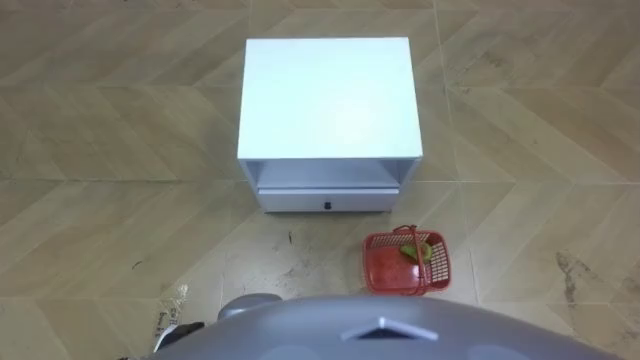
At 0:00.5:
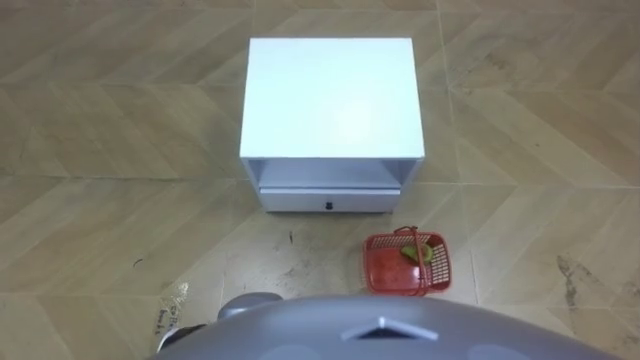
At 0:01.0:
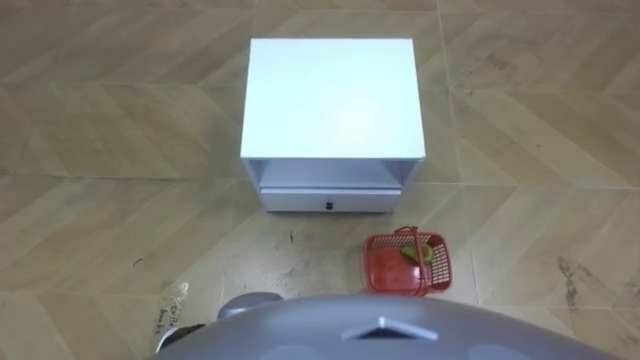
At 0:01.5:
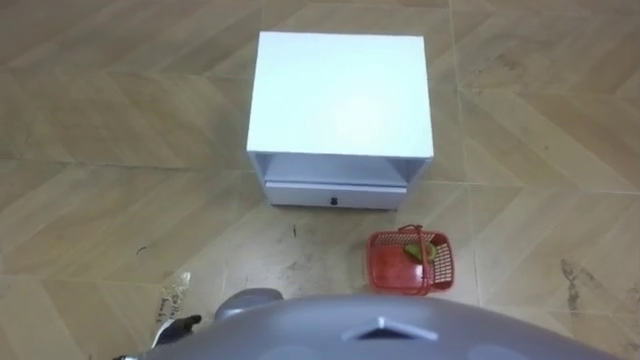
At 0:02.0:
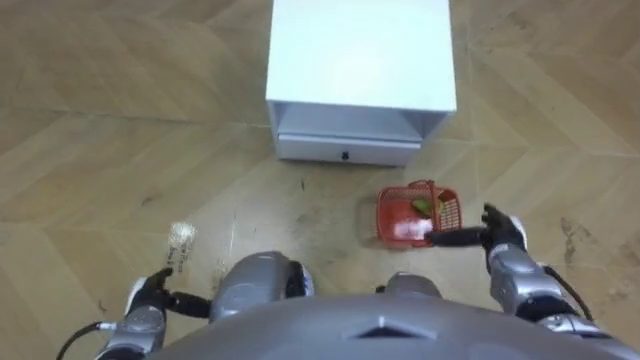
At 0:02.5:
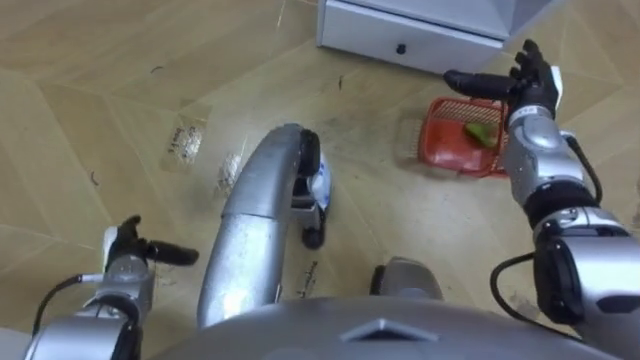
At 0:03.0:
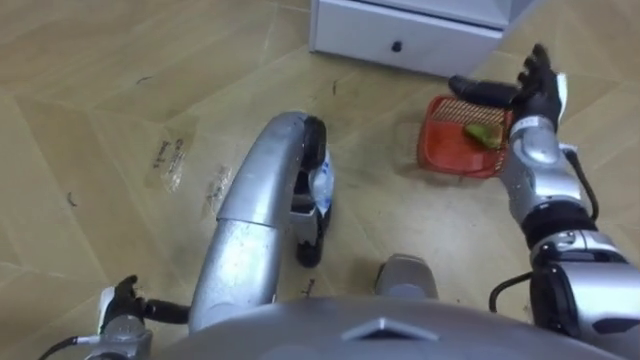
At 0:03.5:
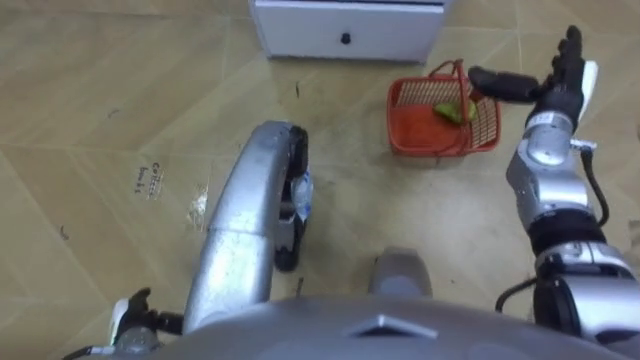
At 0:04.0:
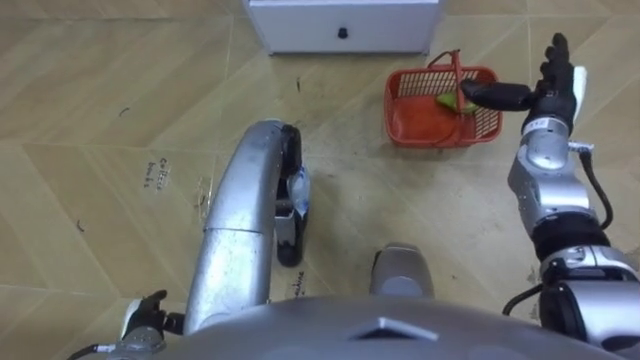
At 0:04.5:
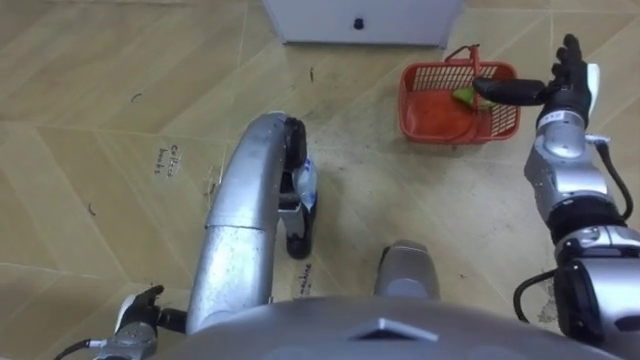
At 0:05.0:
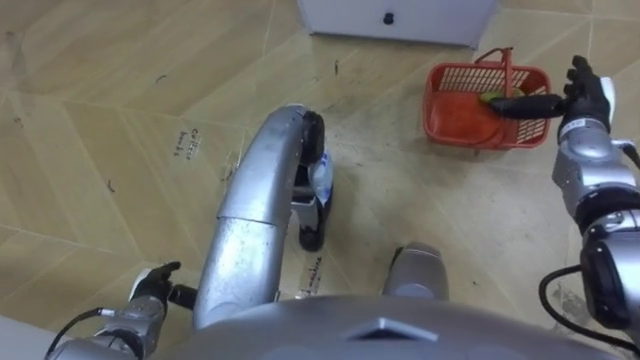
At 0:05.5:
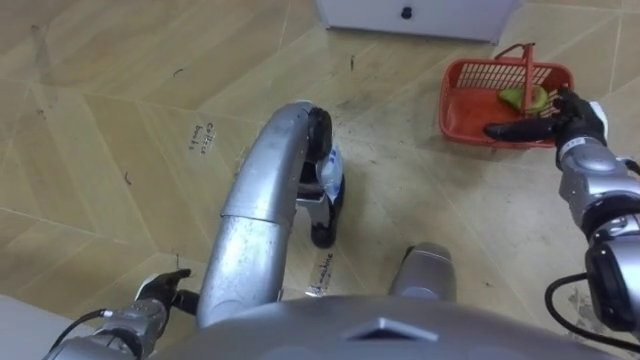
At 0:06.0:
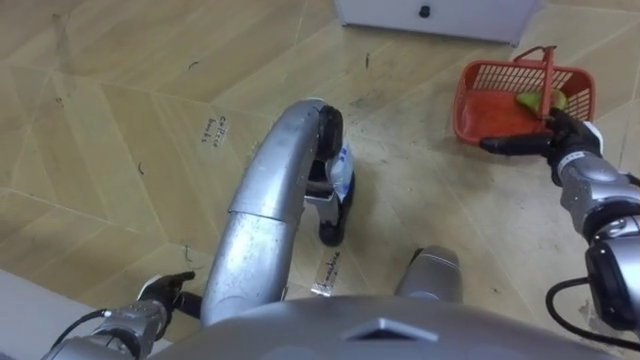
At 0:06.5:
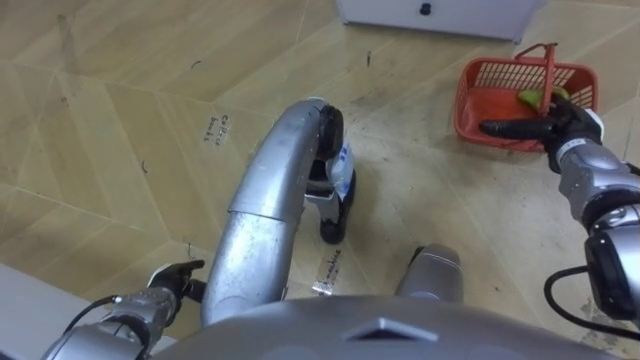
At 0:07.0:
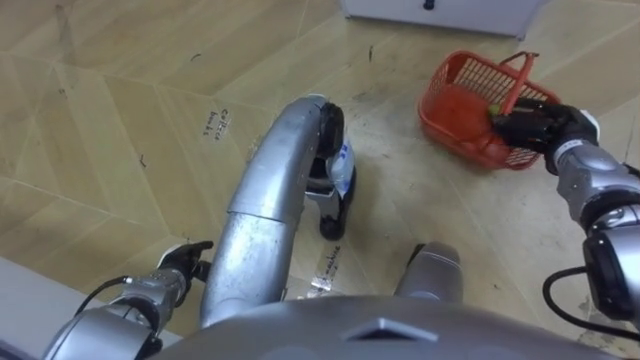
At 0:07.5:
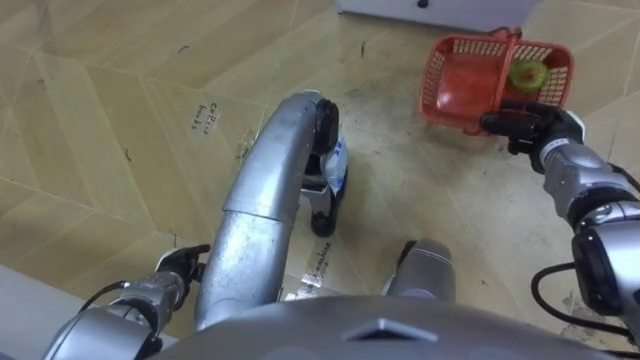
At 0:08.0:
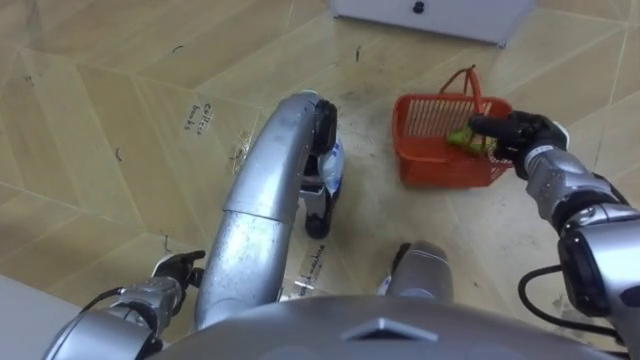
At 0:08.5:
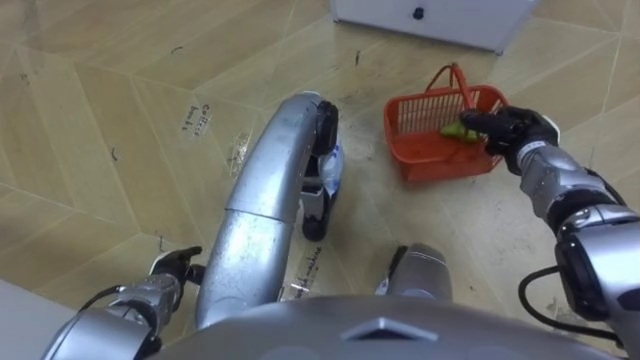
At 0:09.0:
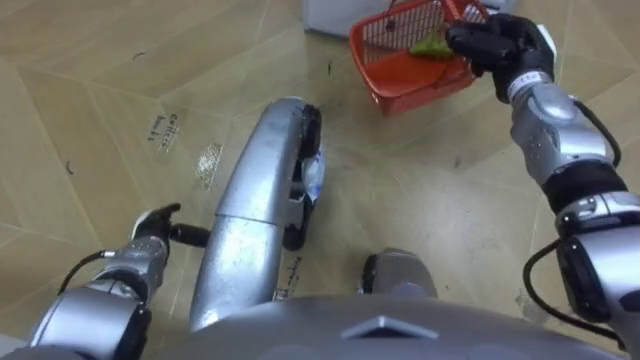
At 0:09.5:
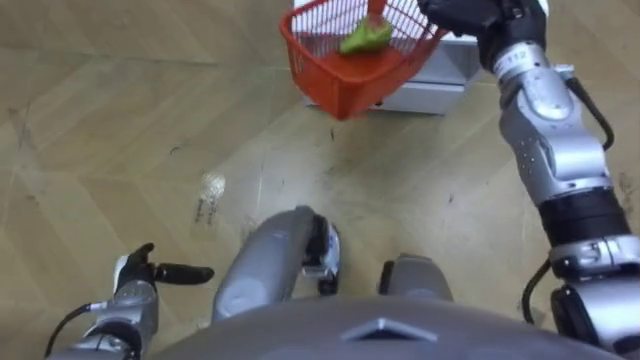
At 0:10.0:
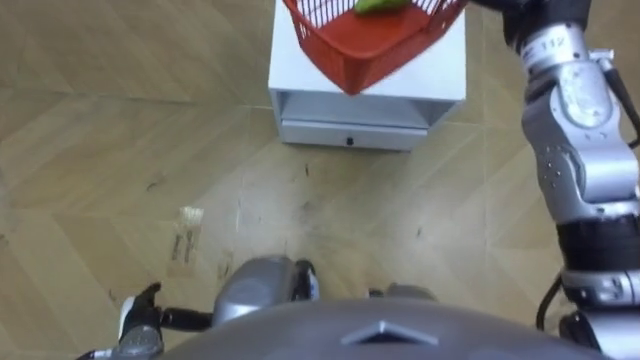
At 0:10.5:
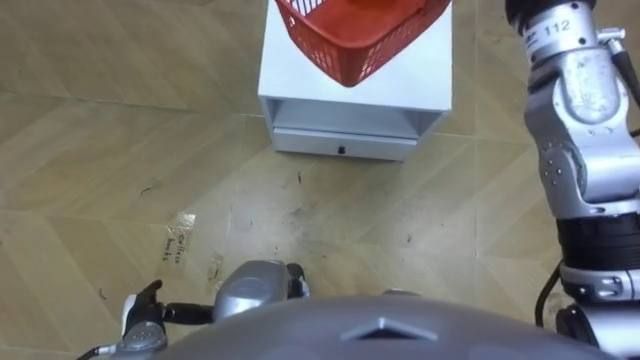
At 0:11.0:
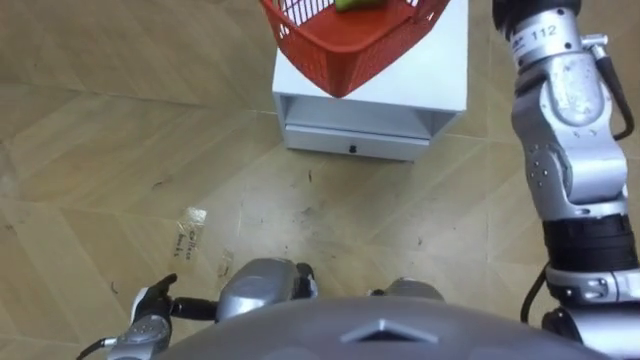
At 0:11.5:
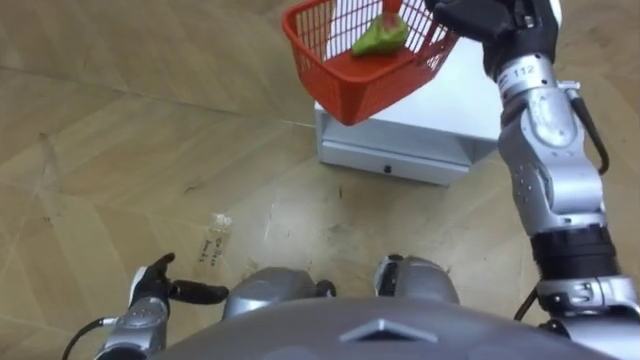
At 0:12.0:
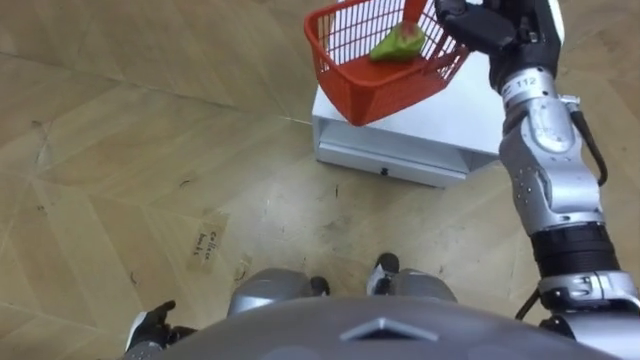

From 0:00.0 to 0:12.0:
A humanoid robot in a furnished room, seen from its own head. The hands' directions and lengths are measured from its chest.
Task of the whole recording: Pick up the fruit basket from the floor and place it on the cabinet.
From 0:02.0 to 0:04.0: The left hand moves roughly 10 cm forward and comes back; the right hand goes some 20 cm forward and upward.
From 0:04.0 to 0:06.0: The right hand heads downward, covering some 5 cm.
From 0:06.0 to 0:08.0: The right hand closes up.
From 0:08.0 to 0:10.0: The left hand heads backward, covering some 5 cm.

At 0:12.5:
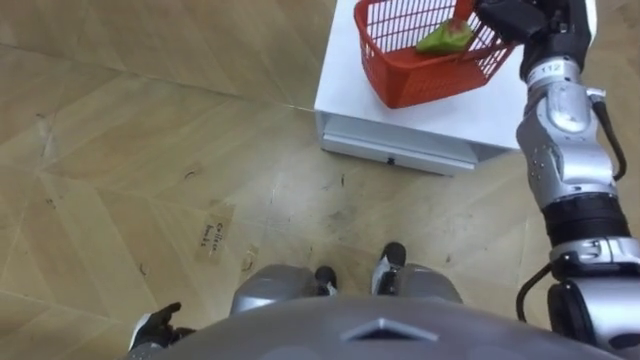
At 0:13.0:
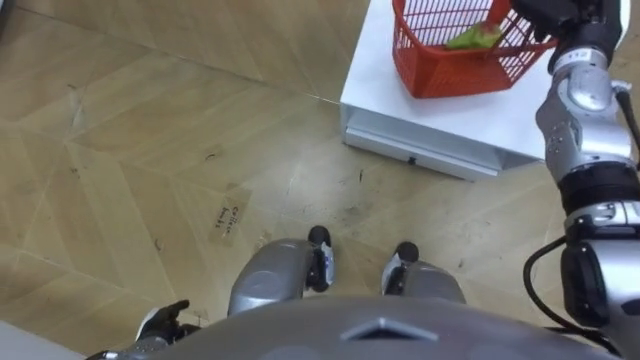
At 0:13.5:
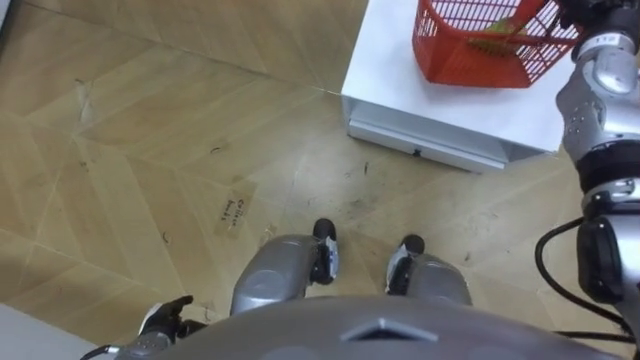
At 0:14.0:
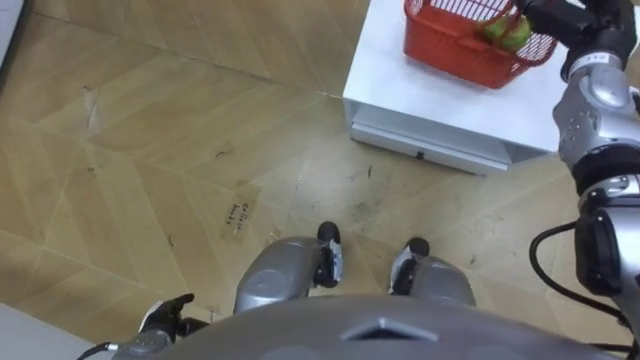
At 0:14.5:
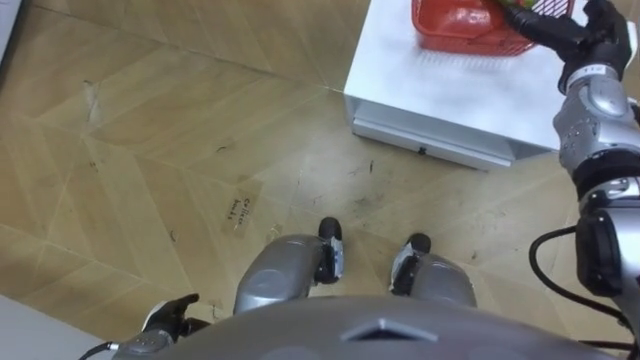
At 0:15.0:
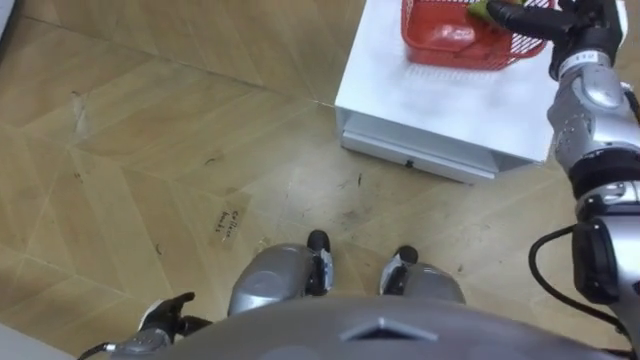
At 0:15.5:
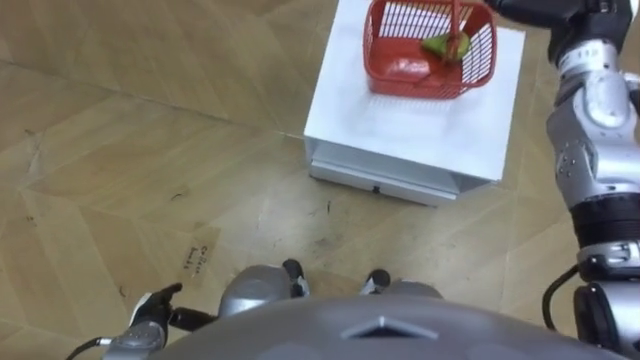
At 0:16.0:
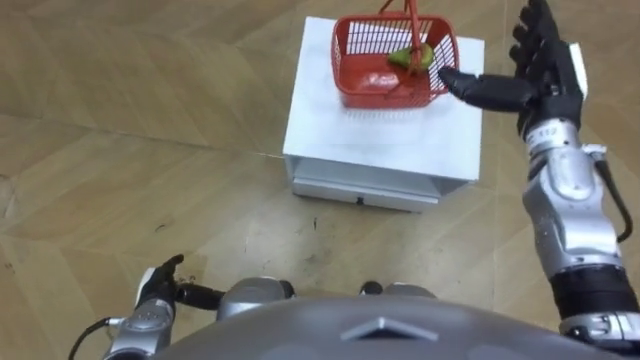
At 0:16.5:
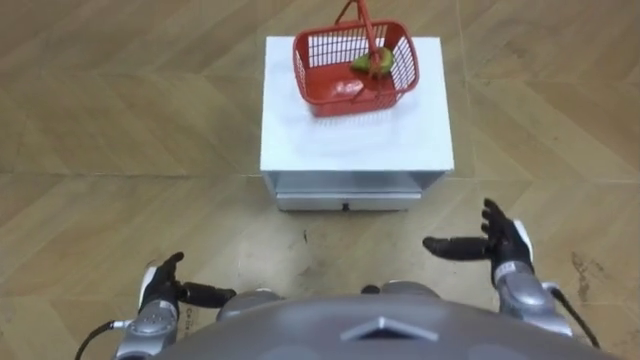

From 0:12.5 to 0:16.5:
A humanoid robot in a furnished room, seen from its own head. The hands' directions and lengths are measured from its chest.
Task of the whole recording: Pick up the fruit basket from the floor and place it on the cabinet.
From 0:12.5 to 0:14.5: The right hand goes approximately 5 cm to the right, and opens up.
From 0:14.5 to 0:16.5: The left hand heads forward, covering roughly 5 cm; the right hand is displaced backward and downward by approximately 30 cm.

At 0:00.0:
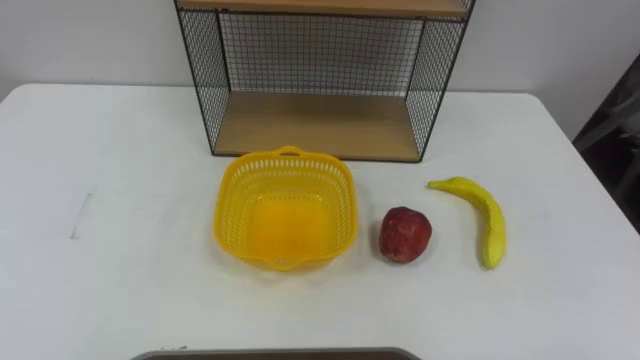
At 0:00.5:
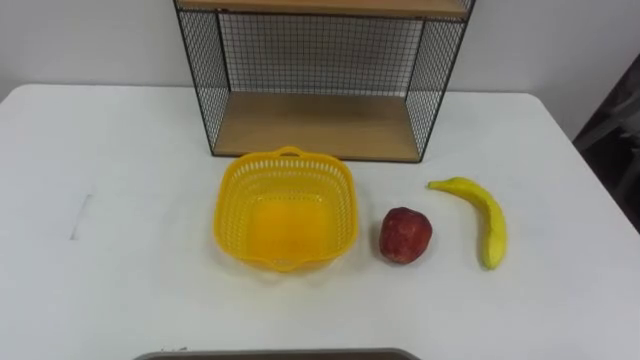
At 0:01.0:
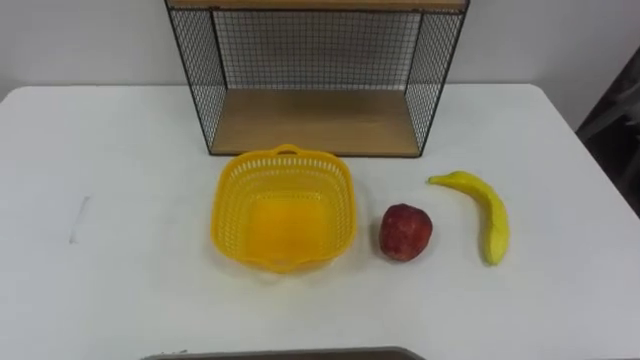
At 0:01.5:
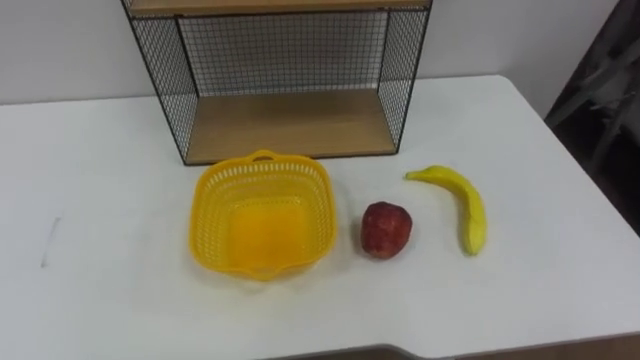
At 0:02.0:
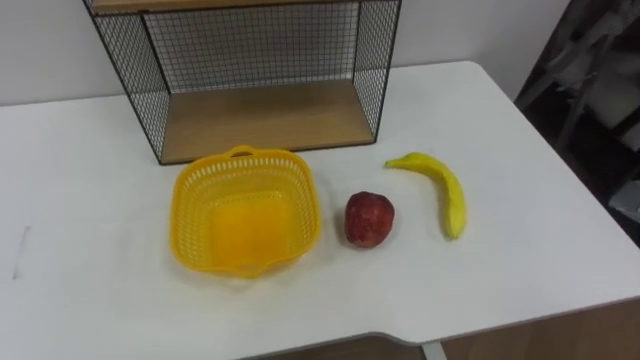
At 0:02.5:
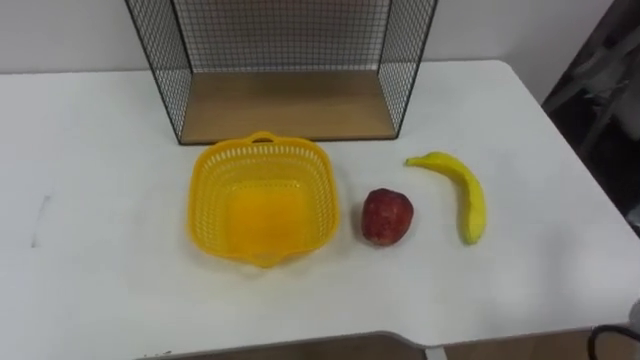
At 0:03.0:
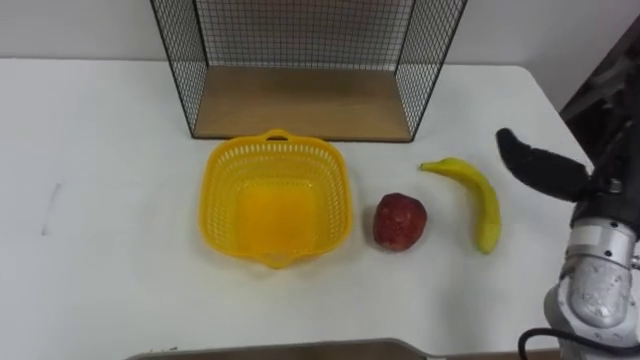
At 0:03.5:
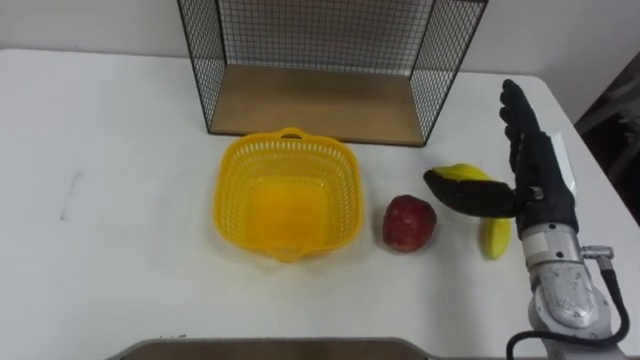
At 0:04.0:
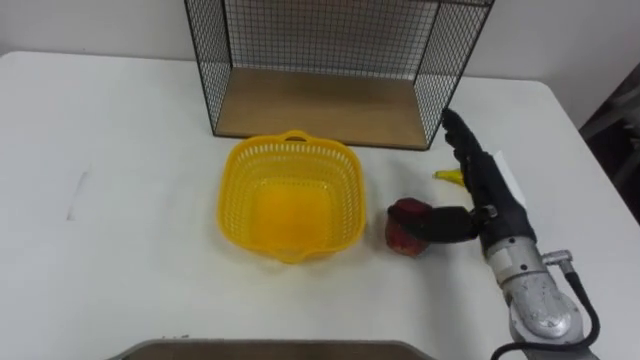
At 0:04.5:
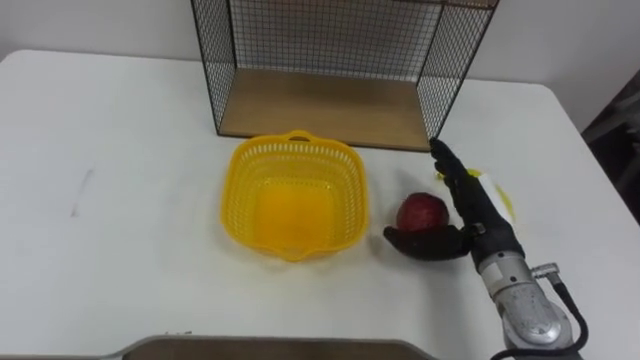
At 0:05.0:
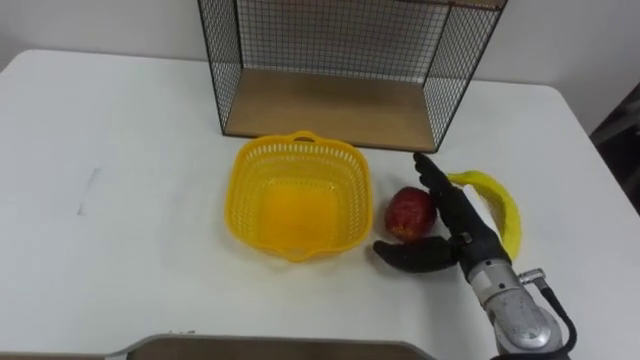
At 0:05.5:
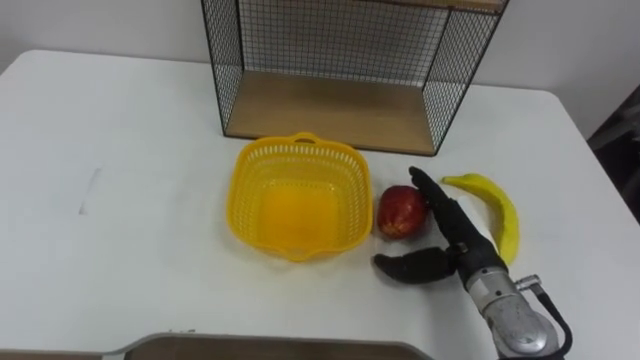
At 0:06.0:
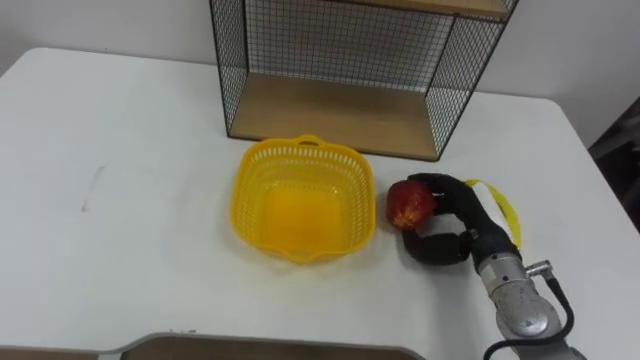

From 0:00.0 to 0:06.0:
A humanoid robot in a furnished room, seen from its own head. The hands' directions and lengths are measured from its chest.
Task of the whole recording: Put the fruit on the table into the basket, then place the basket on the shelf.
From 0:04.0 to 0:06.0: The right hand moves downward, some 10 cm, and closes up.
